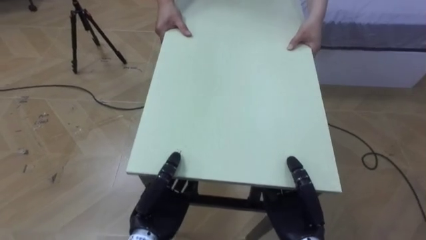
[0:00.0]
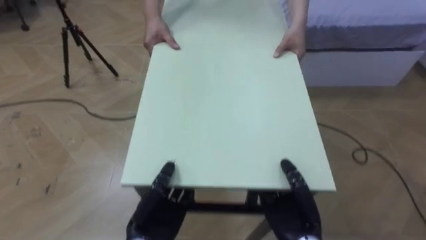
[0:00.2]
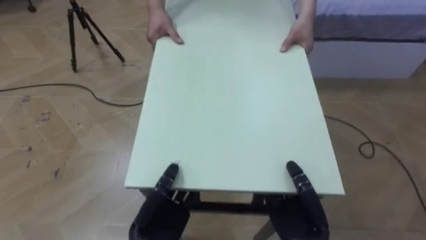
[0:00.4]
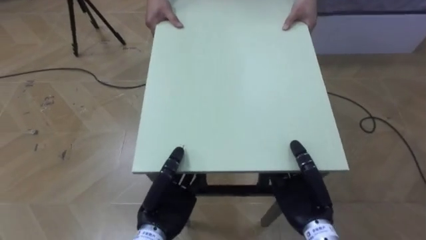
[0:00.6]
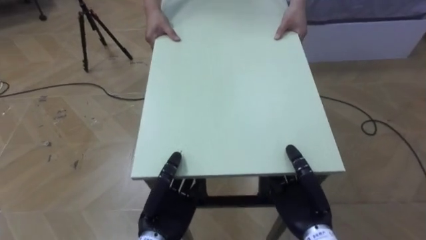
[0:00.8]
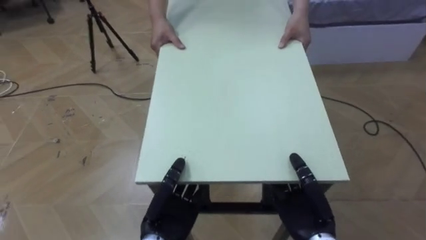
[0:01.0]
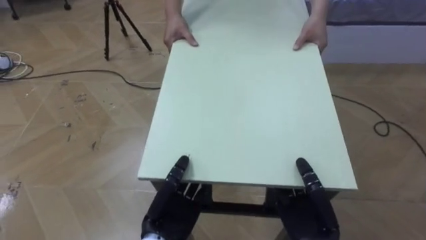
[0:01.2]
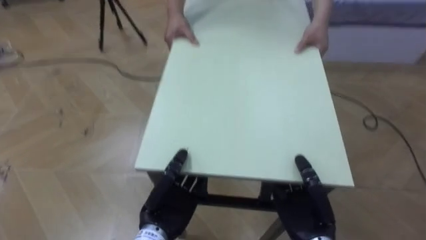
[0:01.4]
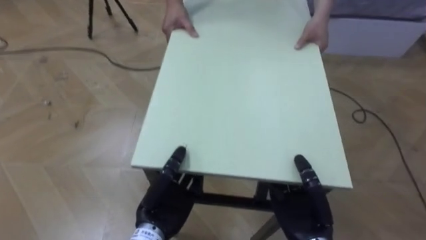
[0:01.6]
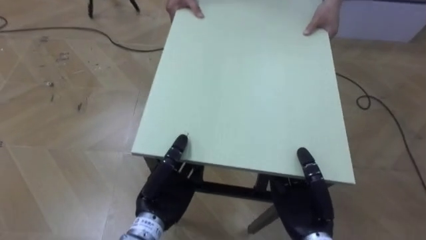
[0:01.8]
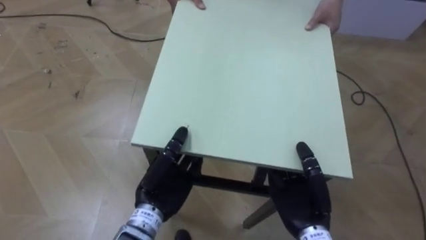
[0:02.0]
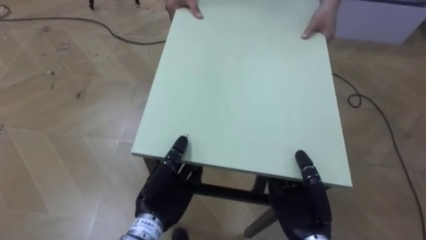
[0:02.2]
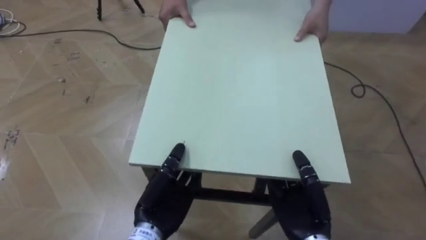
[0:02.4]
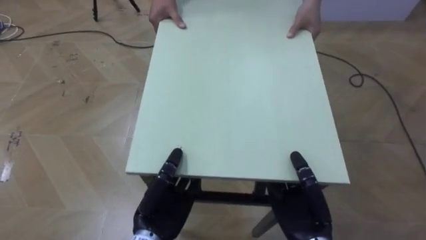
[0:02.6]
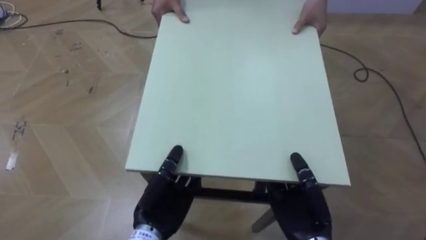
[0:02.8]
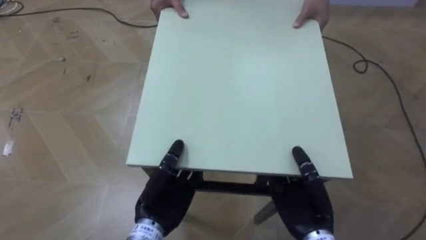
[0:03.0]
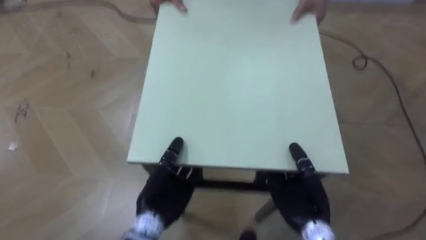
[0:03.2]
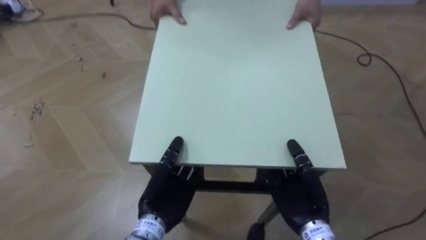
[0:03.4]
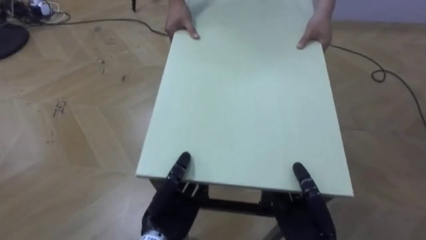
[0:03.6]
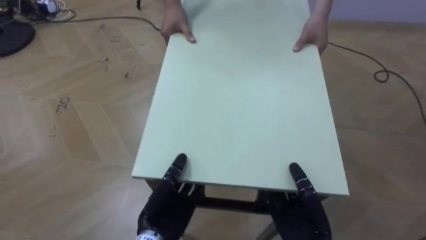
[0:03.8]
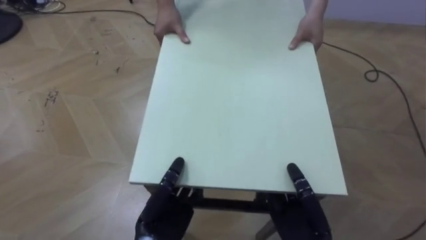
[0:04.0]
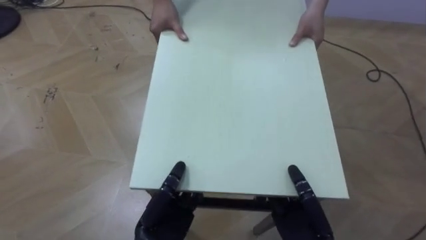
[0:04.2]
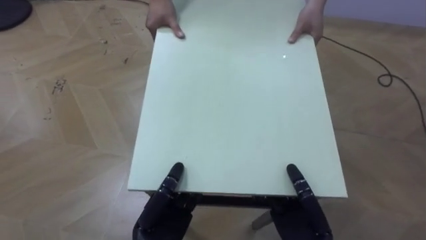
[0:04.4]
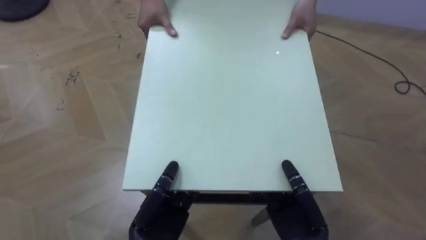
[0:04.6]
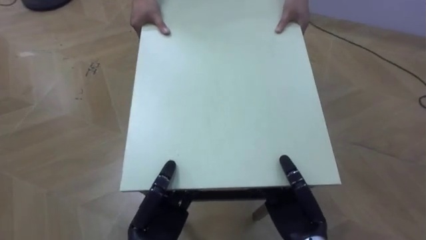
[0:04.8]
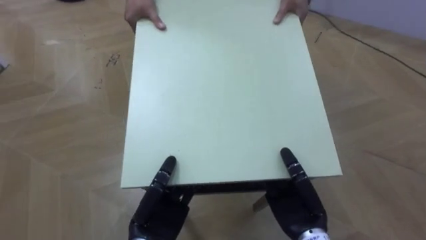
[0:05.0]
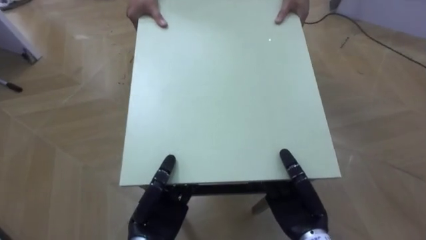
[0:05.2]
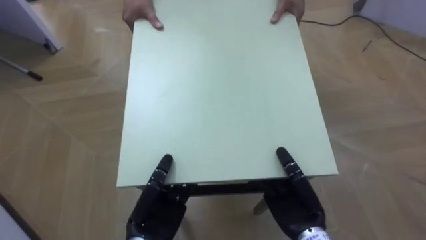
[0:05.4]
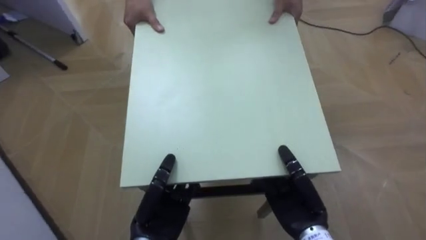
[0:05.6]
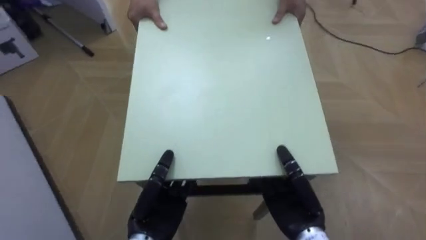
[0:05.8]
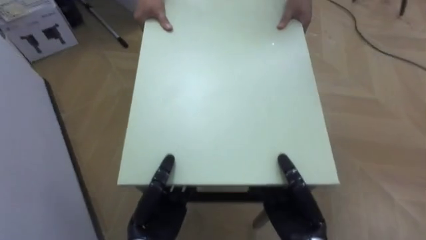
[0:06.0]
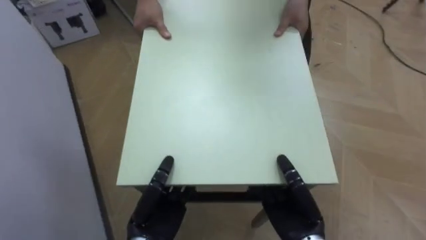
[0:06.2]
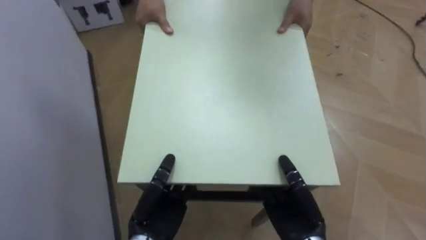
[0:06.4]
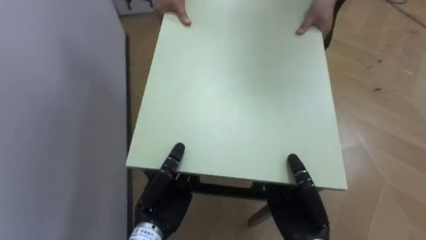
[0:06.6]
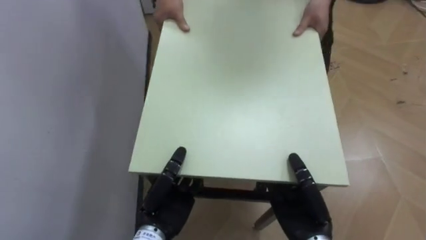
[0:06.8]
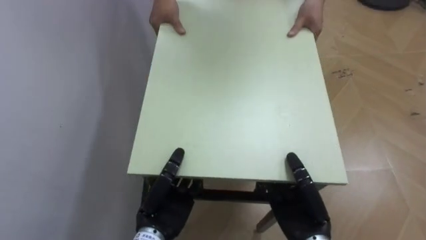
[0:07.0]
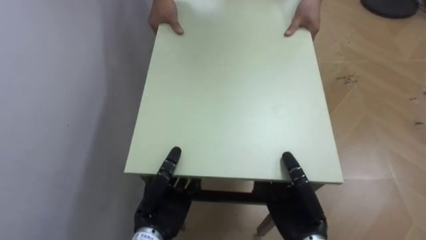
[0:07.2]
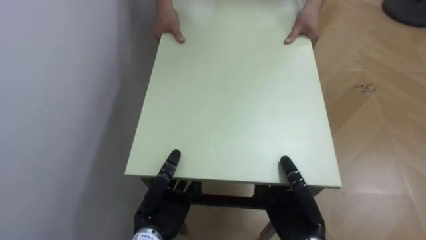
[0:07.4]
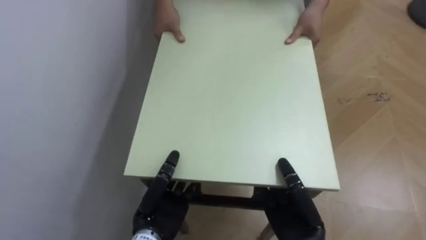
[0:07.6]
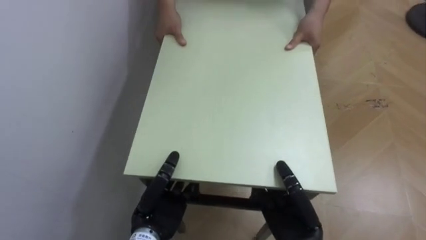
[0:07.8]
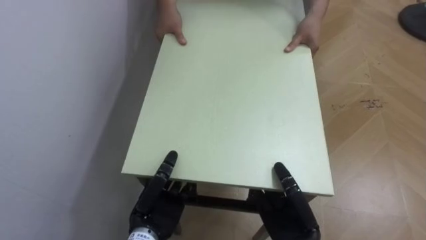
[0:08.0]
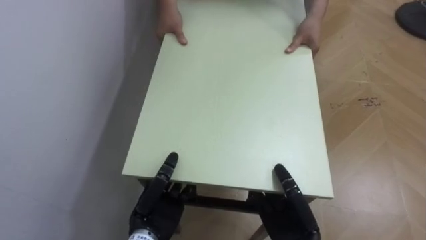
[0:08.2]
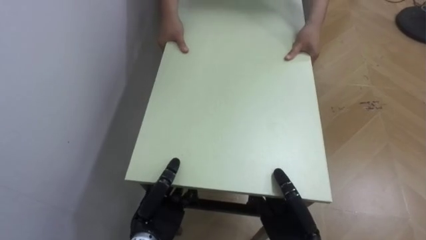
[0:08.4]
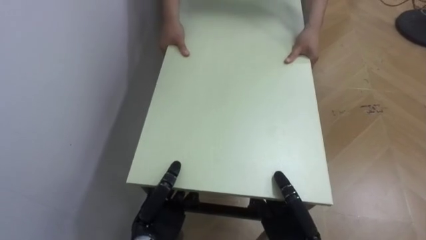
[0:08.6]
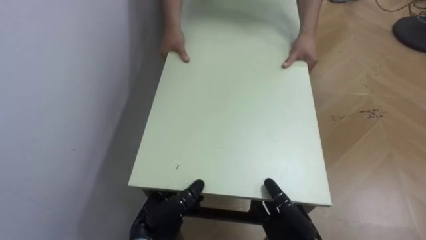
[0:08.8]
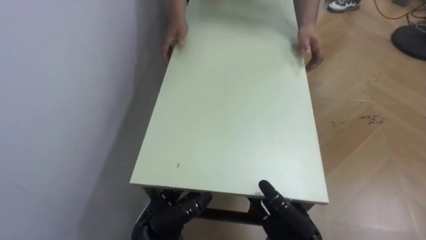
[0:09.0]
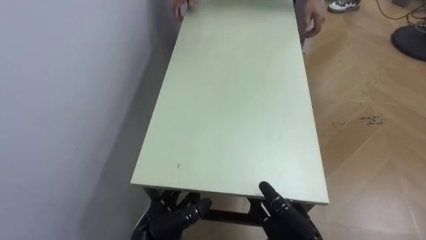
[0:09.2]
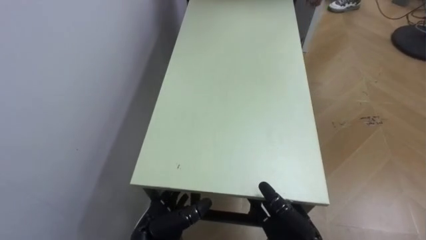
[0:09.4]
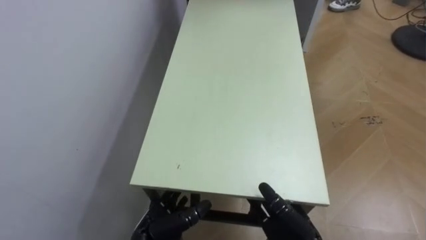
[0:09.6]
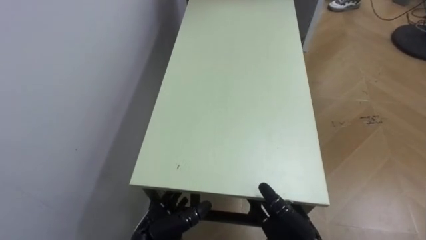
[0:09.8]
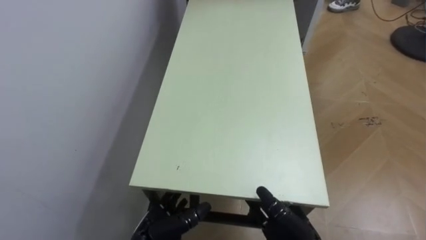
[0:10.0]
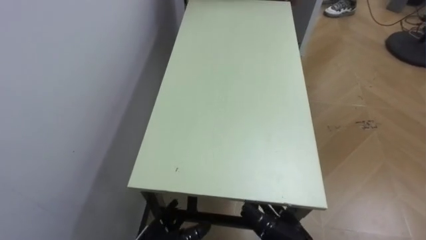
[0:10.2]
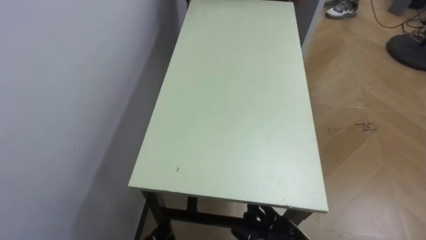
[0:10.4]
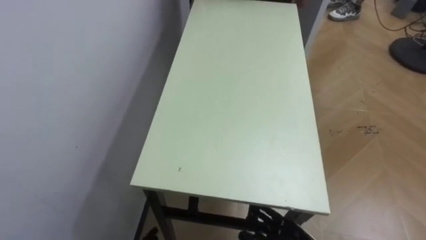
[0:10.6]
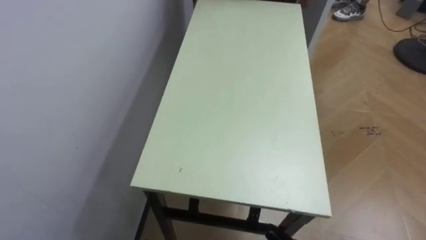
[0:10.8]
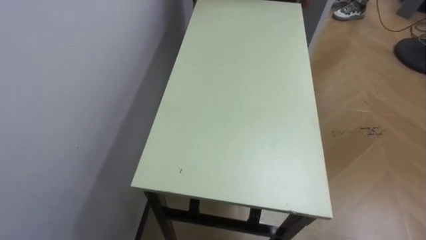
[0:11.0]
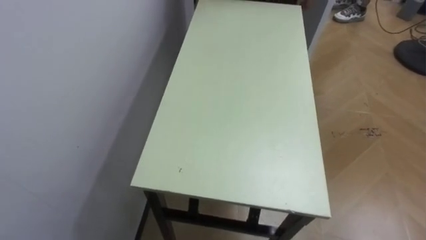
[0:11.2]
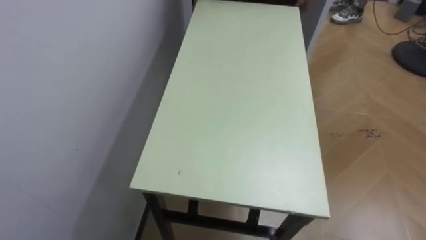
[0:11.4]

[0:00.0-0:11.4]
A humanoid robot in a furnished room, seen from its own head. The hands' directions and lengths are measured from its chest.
Task of the whole recording: Move the table to the back left with someone.
0:04.2 to 0:05.6: The robot faces some 30 degrees further to its left.
0:05.6 to 0:07.2: The robot's body swings some 50 degrees to its left.
0:08.6 to 0:10.0: The left hand opens its fingers. The right hand opens its fingers.

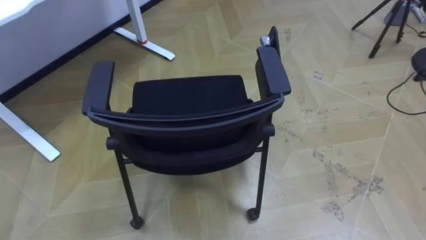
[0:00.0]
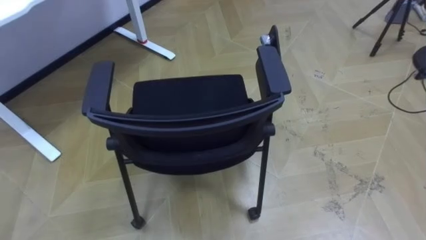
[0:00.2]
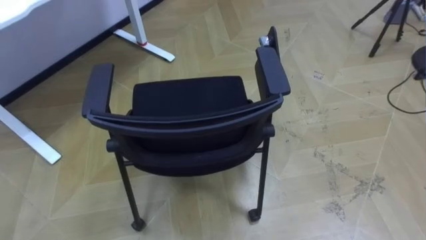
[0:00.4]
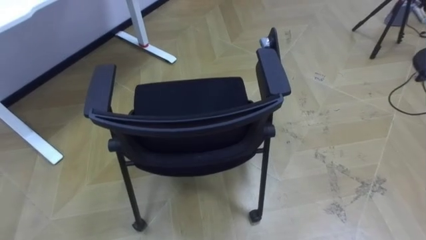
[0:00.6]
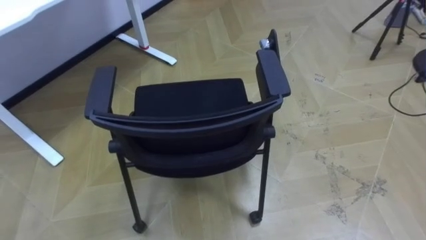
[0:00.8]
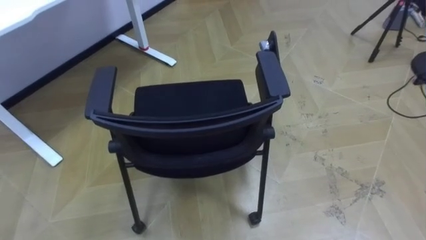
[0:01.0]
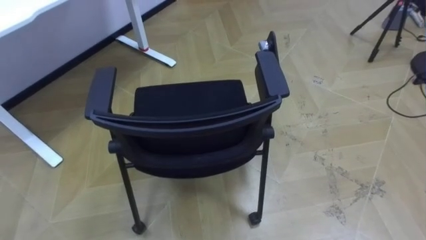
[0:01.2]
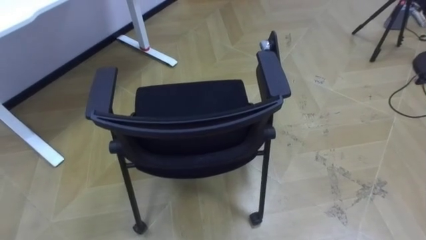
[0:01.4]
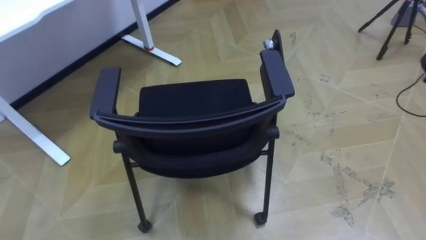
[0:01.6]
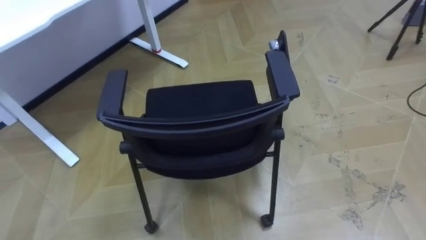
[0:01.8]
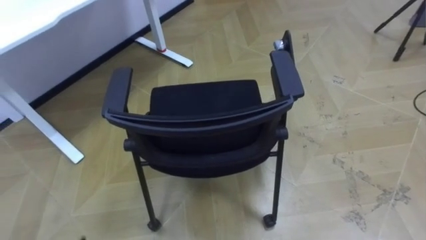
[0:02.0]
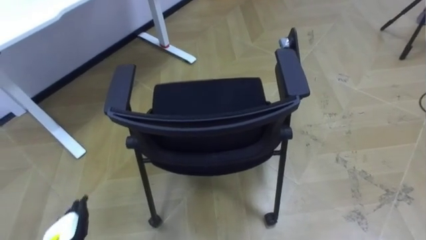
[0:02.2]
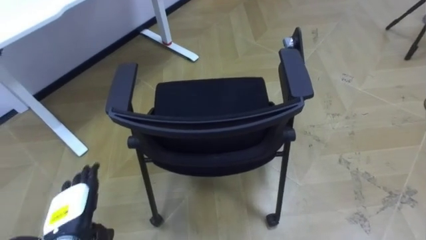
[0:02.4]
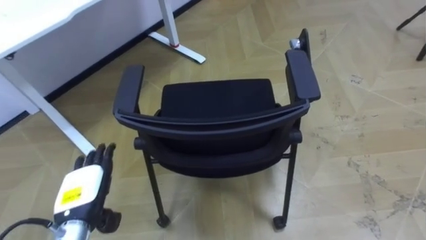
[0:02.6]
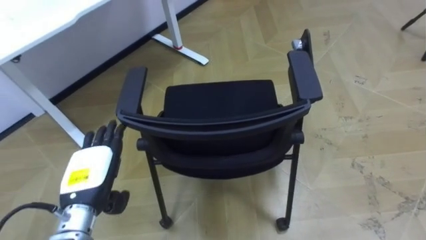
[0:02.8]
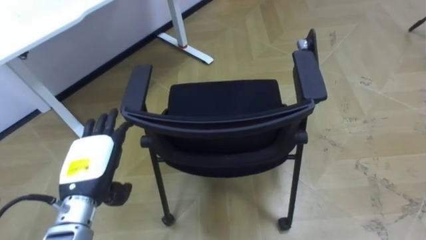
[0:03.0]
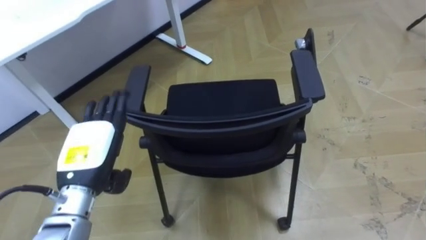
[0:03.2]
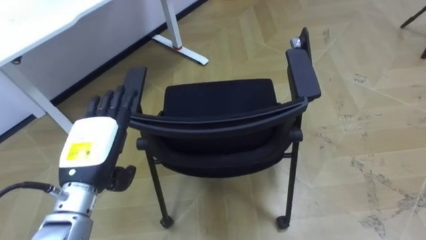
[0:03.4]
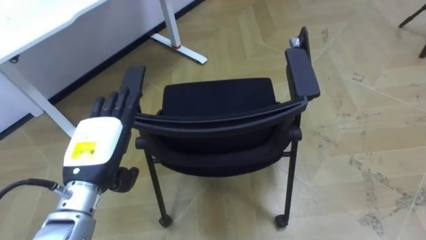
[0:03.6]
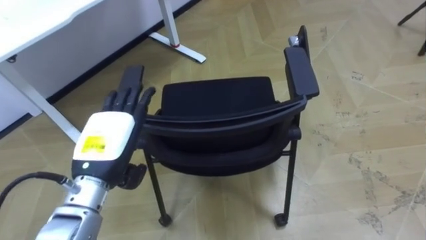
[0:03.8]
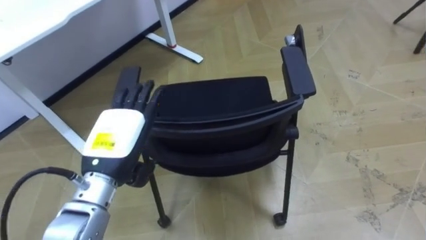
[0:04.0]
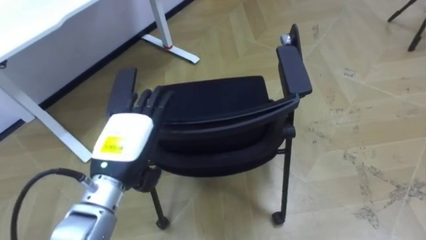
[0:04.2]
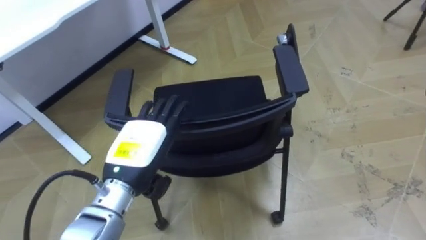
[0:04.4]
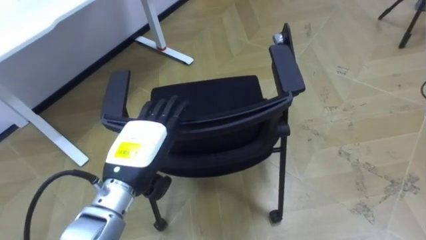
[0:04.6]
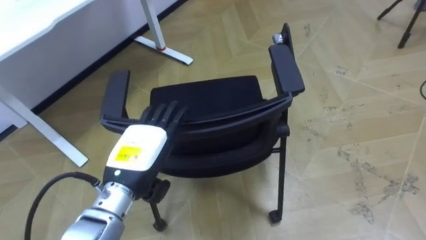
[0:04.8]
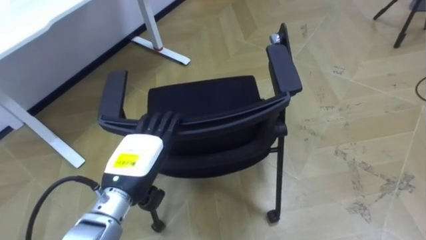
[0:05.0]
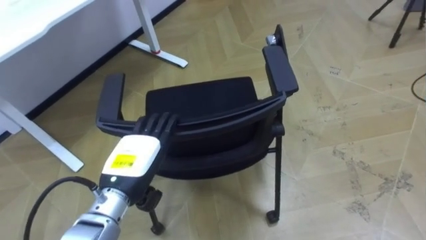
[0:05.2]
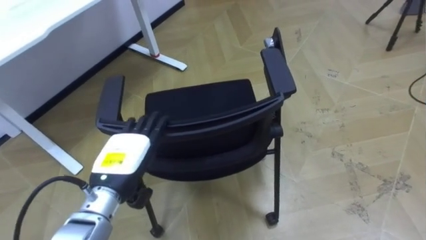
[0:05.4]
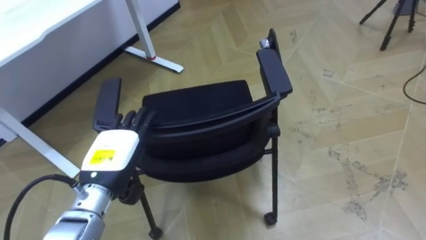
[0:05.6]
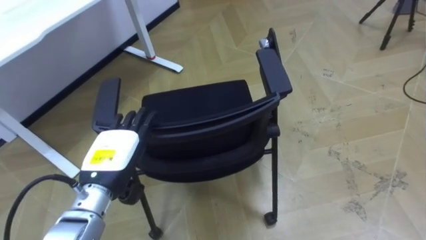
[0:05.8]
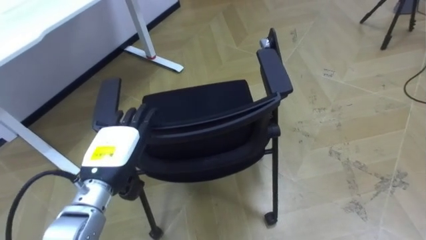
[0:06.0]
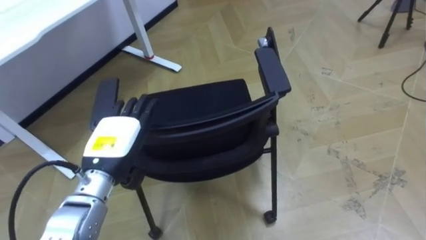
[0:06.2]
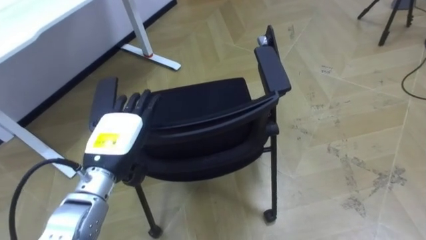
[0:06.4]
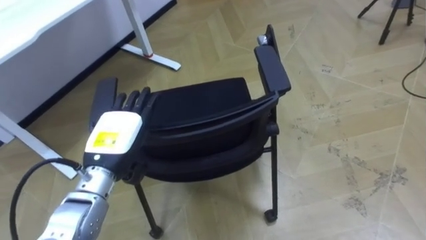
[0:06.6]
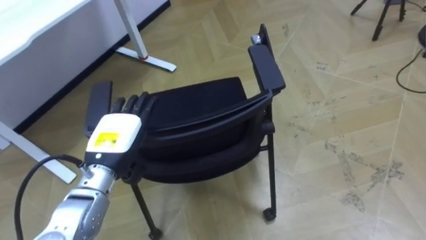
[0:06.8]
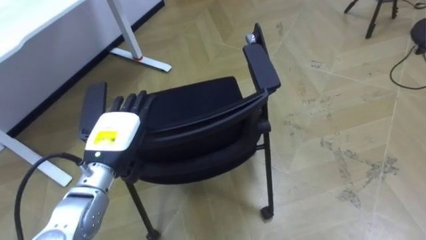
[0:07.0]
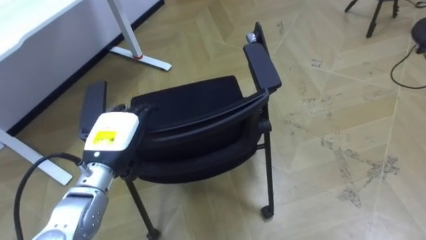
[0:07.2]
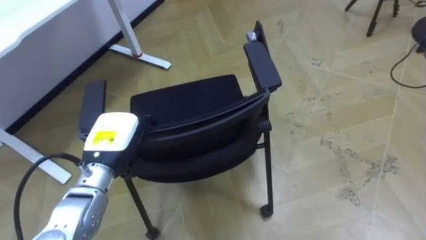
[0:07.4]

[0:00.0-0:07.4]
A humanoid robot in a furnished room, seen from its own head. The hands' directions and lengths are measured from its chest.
Task of the whole recording: Push the chair under the table.
0:03.0 to 0:04.4: The left hand goes roughly 10 cm to the right.
0:04.4 to 0:06.0: The left hand shifts by some 5 cm.
0:06.0 to 0:07.4: The left hand closes up.
